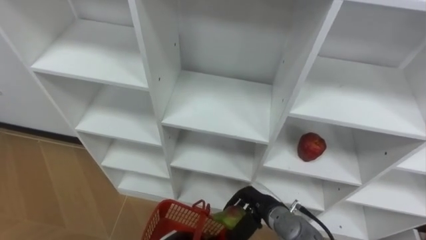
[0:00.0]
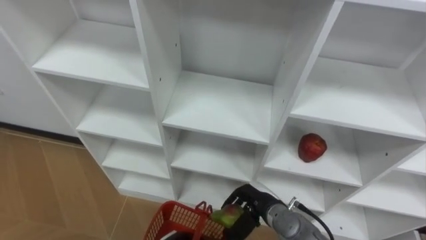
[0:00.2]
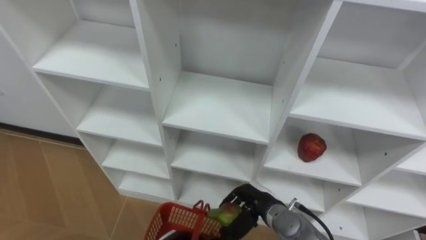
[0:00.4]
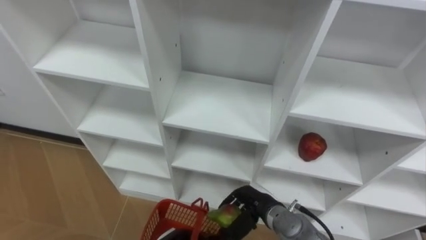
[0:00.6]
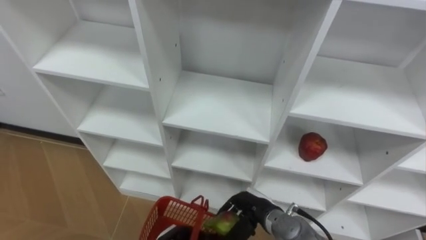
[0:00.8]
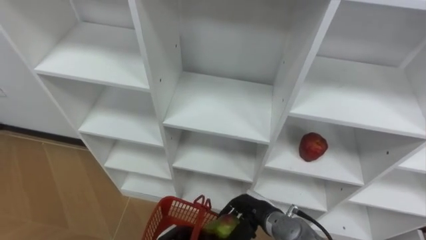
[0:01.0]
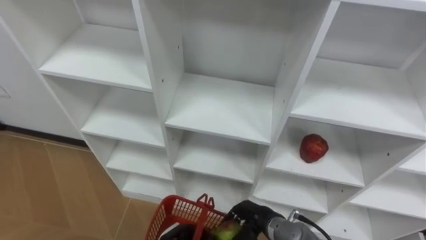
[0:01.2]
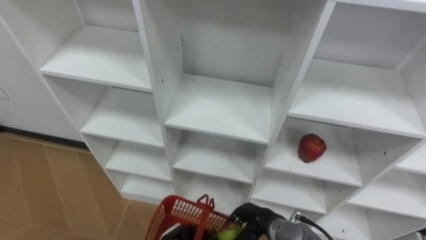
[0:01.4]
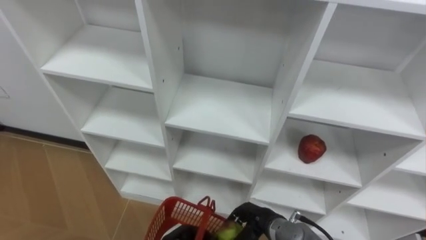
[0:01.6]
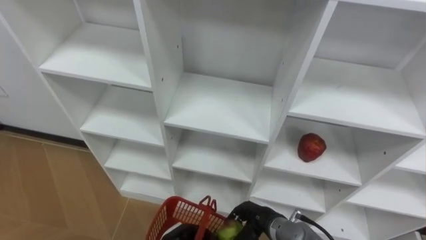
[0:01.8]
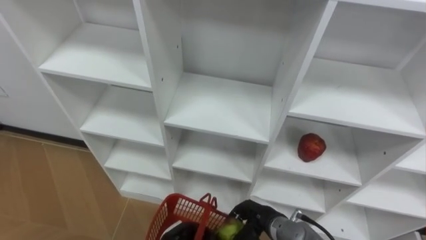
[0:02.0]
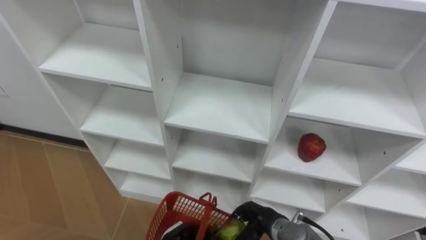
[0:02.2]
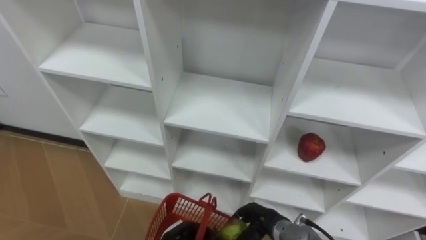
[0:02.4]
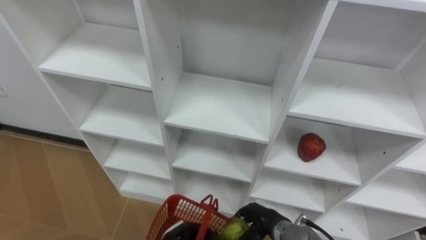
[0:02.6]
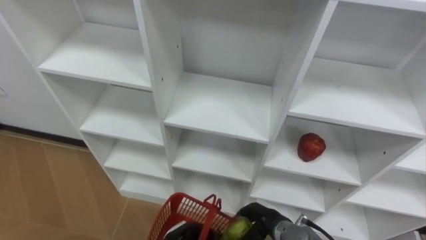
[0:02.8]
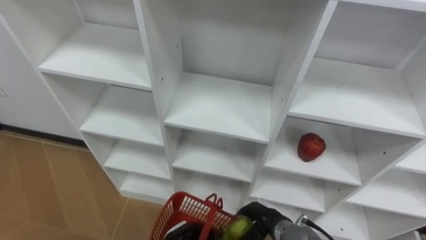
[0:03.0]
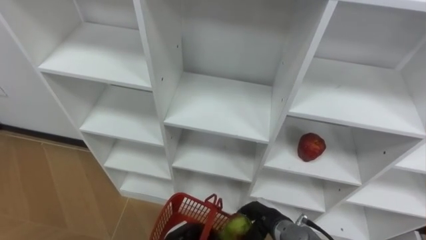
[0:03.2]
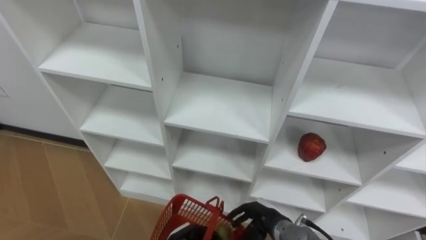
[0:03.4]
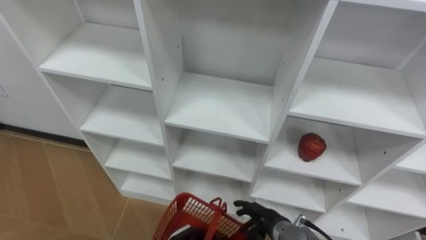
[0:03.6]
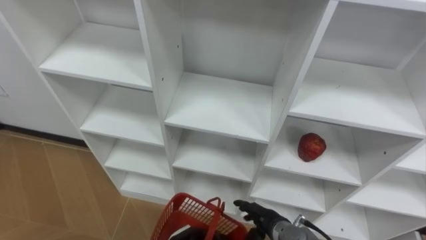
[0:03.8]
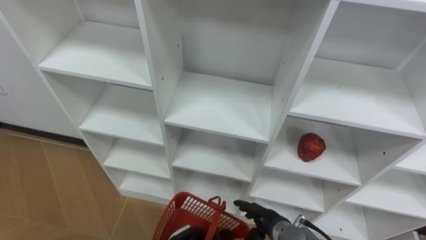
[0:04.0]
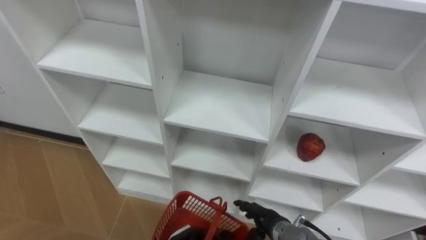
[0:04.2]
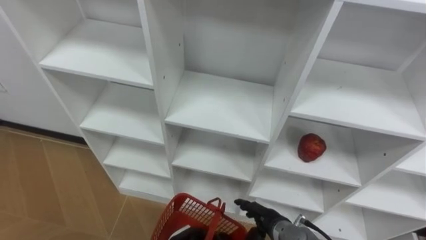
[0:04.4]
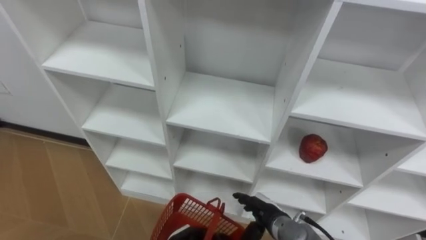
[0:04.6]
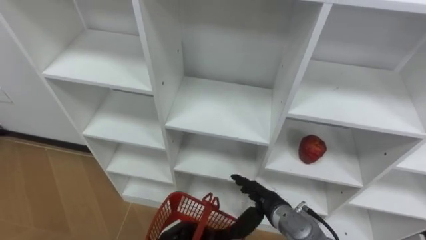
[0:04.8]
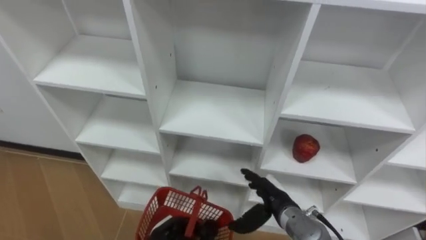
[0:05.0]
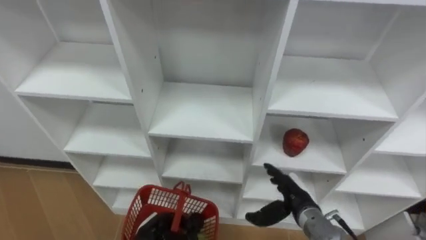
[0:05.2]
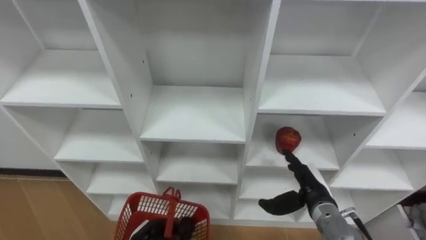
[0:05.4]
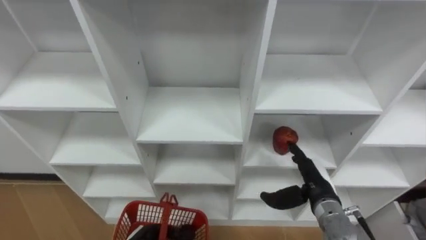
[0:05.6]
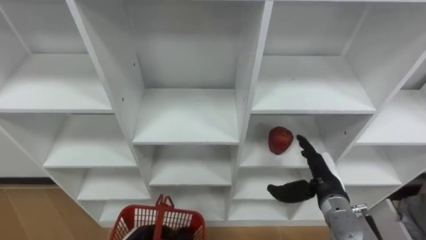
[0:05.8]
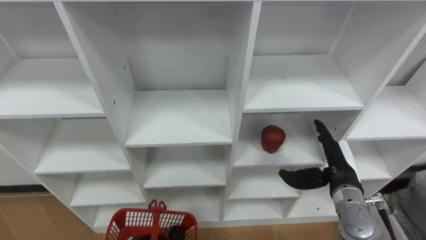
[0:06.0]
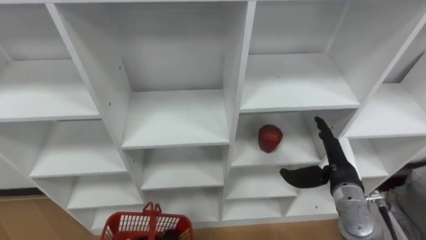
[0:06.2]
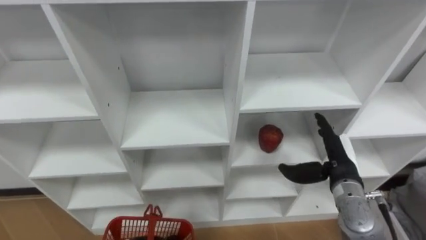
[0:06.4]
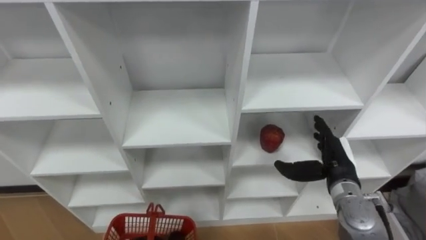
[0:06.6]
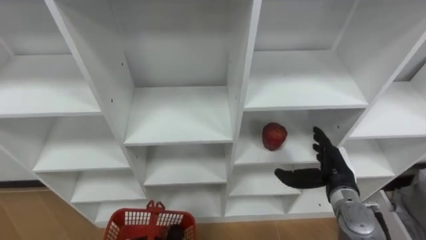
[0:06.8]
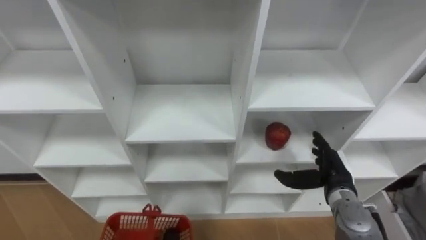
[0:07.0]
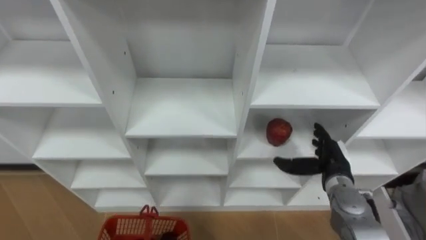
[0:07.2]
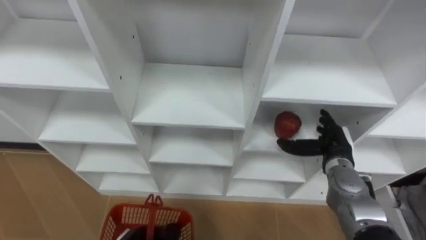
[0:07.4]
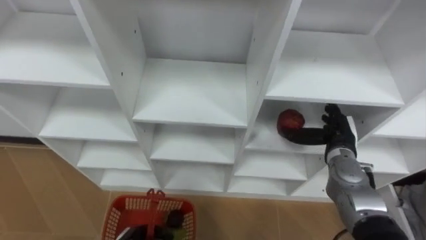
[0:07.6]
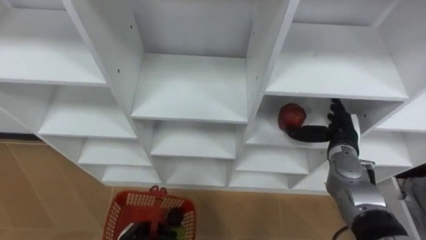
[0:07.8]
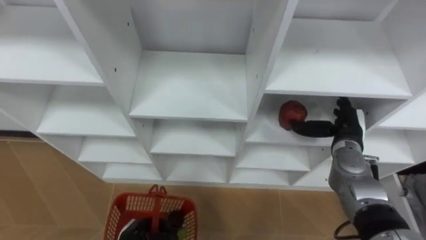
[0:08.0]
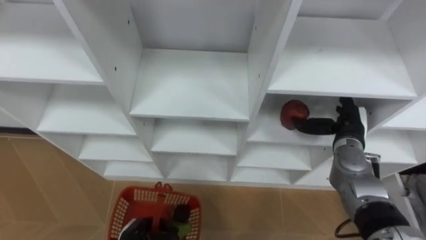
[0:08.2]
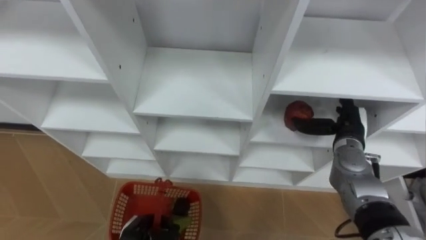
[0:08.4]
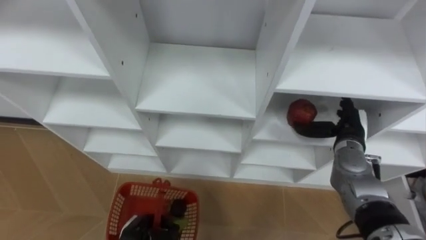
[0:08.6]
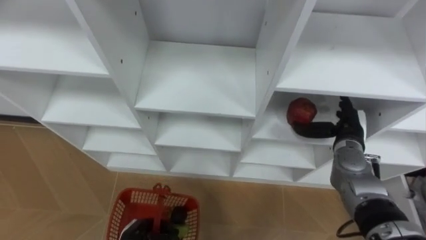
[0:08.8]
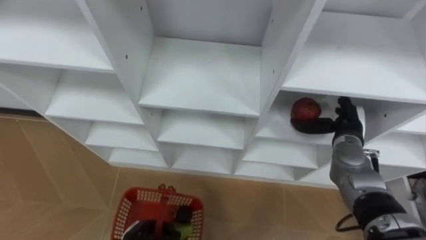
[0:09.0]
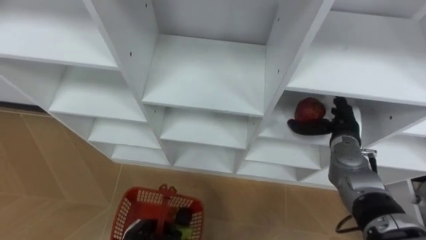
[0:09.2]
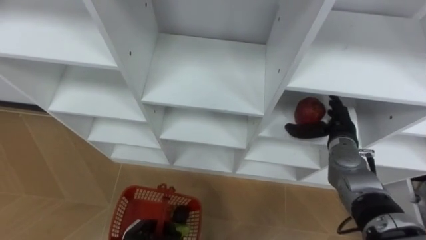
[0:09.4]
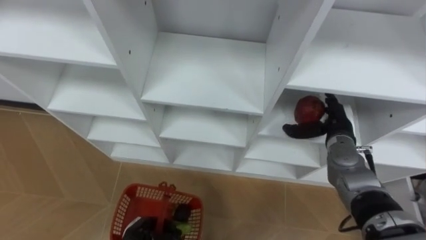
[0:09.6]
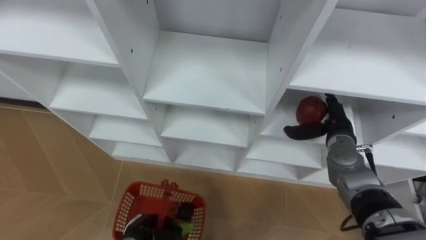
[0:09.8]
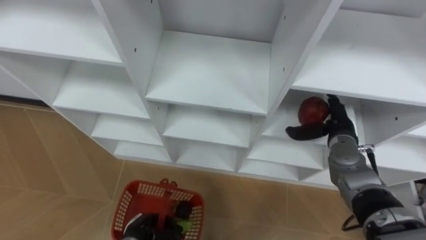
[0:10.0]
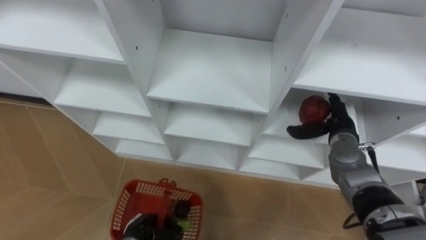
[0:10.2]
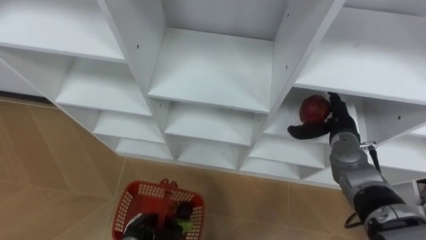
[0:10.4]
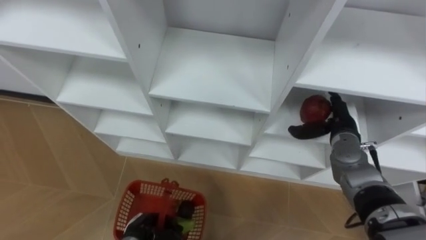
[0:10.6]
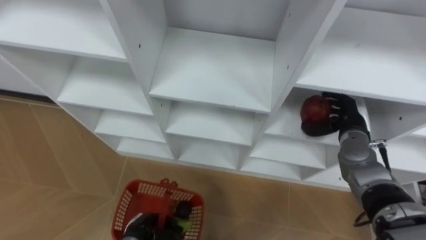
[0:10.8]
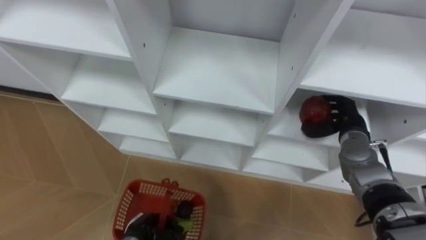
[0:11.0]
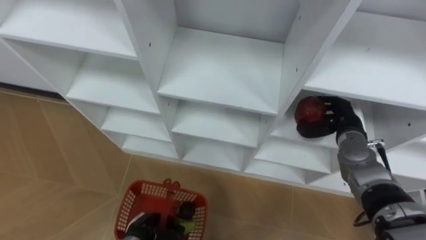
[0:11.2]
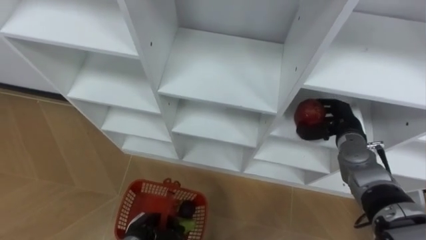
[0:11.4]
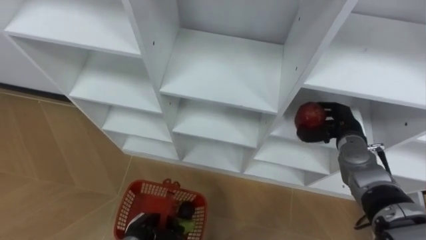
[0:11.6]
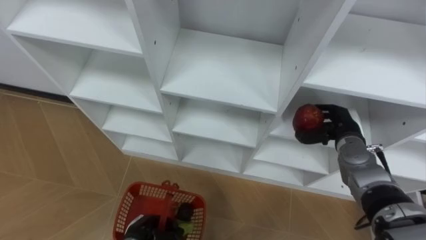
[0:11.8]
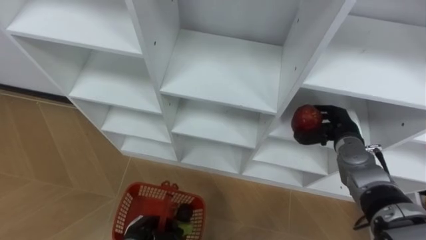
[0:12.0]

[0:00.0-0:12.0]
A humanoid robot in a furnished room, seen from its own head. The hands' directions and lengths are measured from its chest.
Task of the whole recording: Hold the basket and collect the fruits from 3 different cells of the closet into it.
0:03.0 to 0:04.4: The right hand opens.
0:04.4 to 0:06.0: The right hand shifts some 20 cm to the right, upward and forward.
0:06.0 to 0:07.6: The right hand shifts about 5 cm forward.
0:10.4 to 0:12.0: The right hand closes its fingers.

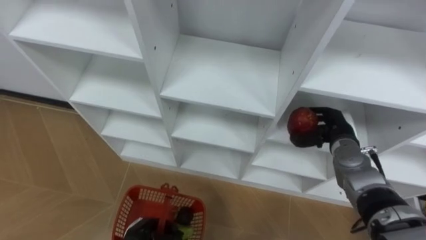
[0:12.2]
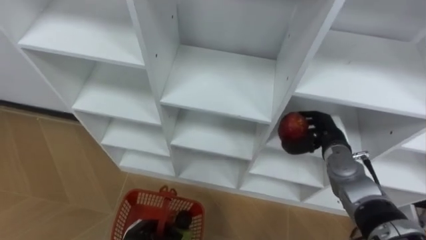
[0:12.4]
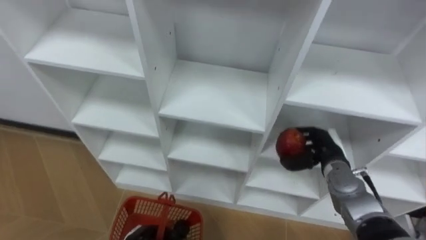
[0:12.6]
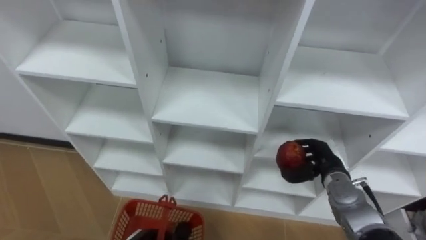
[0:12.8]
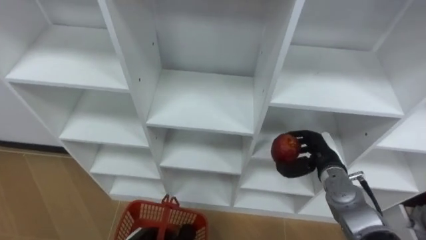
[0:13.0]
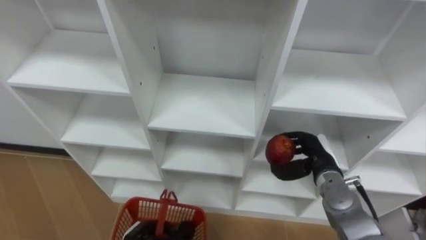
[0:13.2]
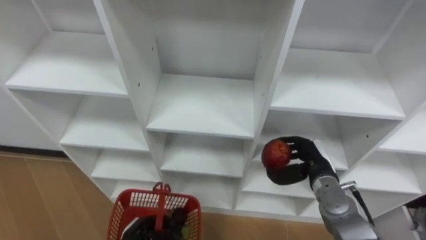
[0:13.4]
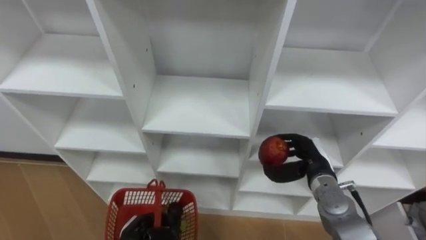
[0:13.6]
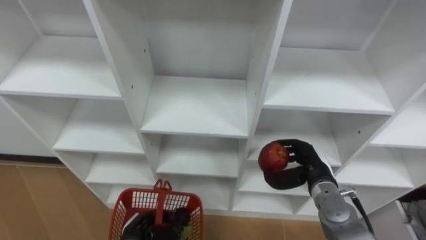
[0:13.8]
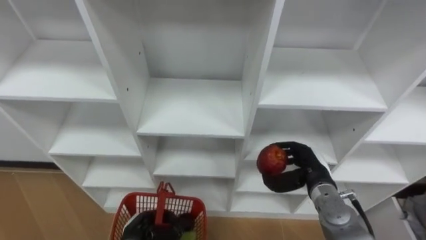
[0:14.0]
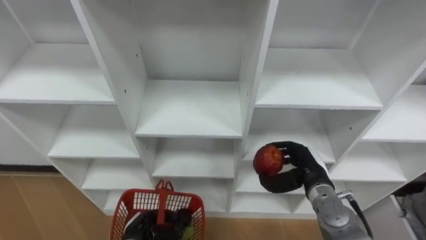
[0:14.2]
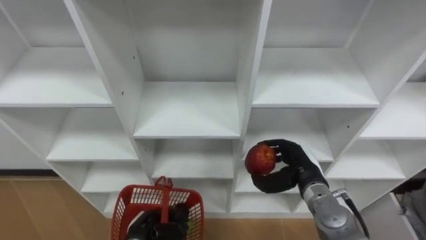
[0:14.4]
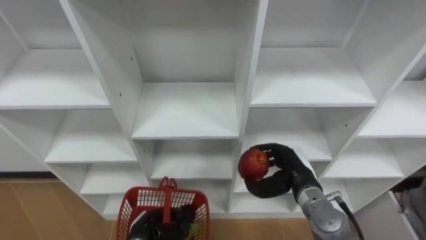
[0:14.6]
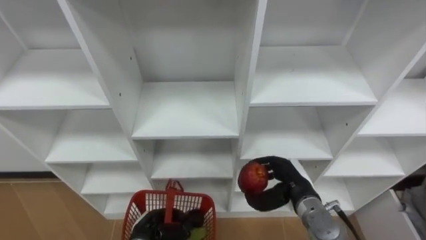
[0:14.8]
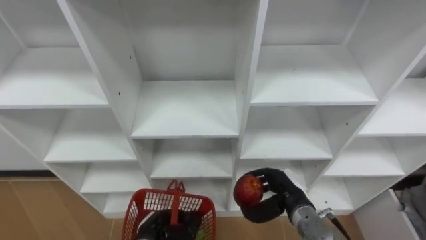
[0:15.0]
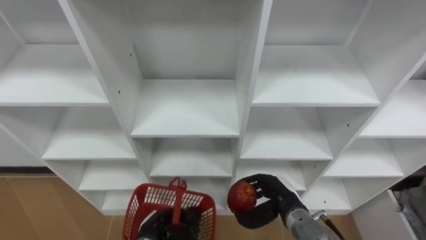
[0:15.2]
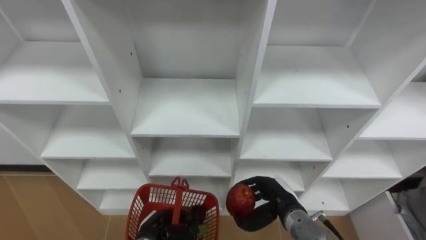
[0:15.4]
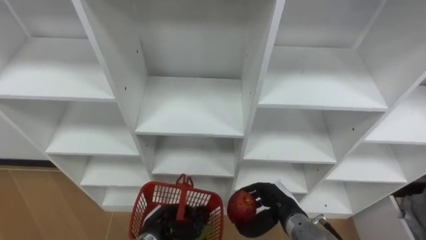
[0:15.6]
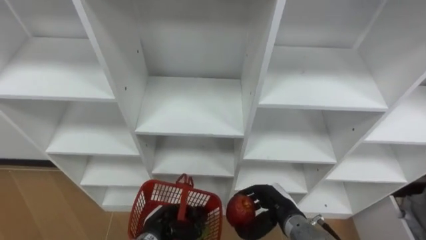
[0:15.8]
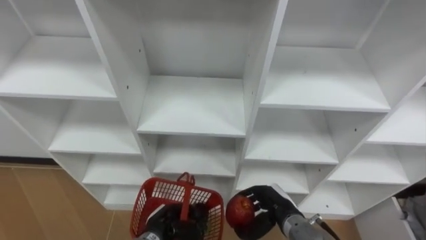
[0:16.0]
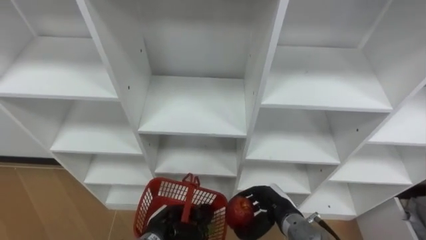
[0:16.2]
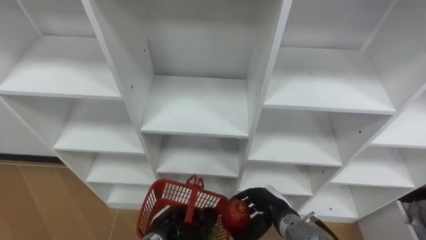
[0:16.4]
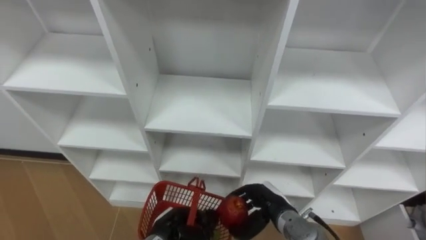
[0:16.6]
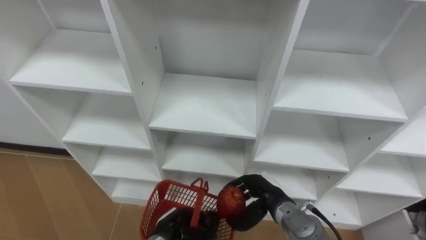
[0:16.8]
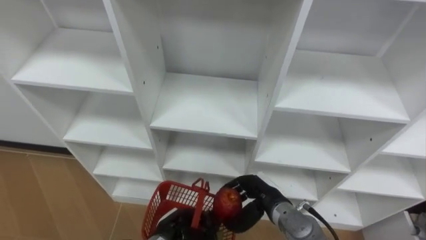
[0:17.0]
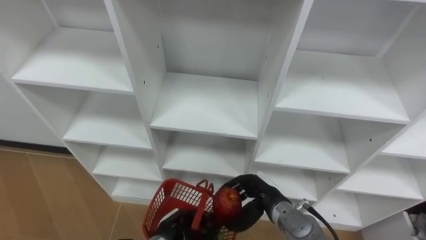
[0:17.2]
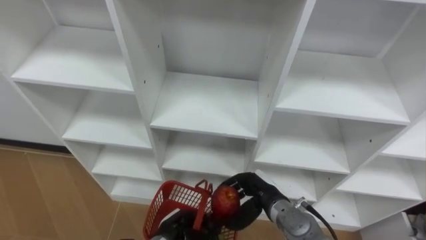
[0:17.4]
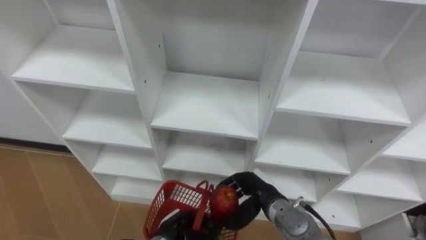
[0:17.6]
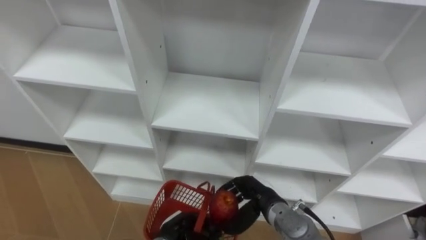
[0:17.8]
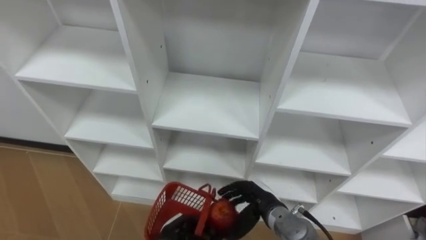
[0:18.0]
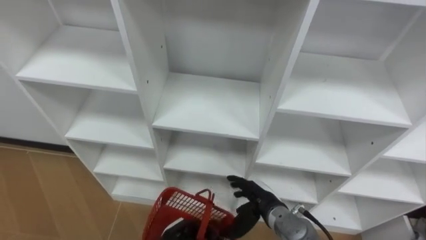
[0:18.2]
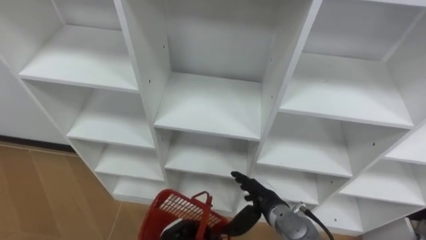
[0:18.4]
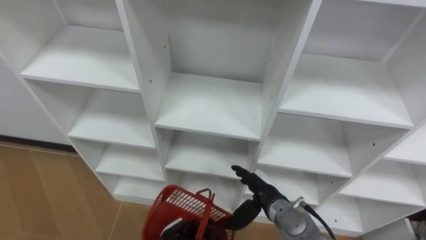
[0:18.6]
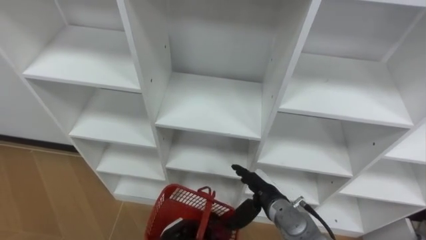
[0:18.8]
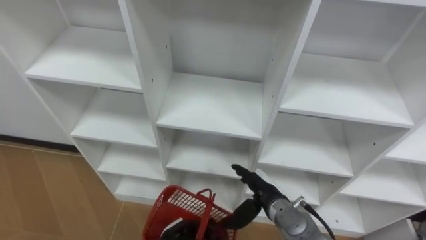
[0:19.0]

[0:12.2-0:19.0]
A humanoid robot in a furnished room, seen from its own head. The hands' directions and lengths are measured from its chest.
Task of the whole recording: Hold the basket and collect the fruits from 3 different cells of the closet into it.
0:12.2 to 0:13.6: The right hand travels backward and to the left by approximately 10 cm.
0:13.6 to 0:15.0: The right hand is displaced backward by roughly 5 cm.
0:17.6 to 0:19.0: The right hand opens its fingers.
